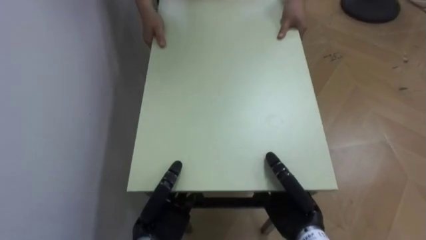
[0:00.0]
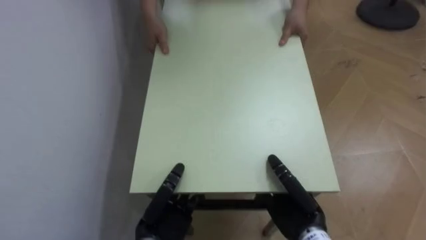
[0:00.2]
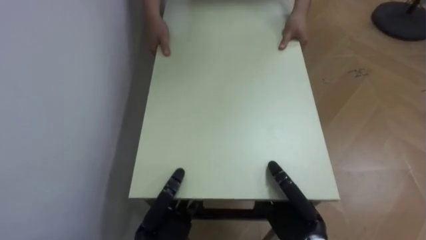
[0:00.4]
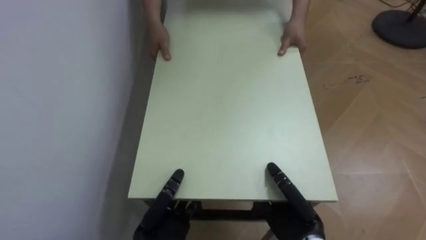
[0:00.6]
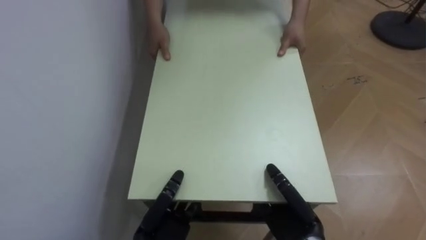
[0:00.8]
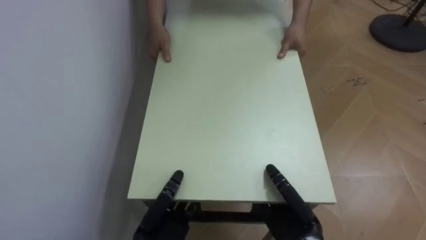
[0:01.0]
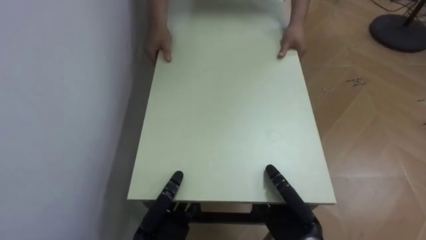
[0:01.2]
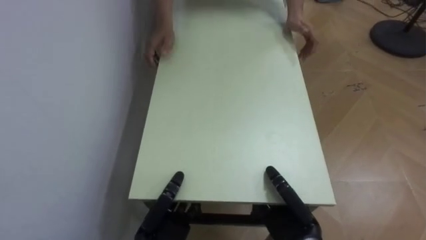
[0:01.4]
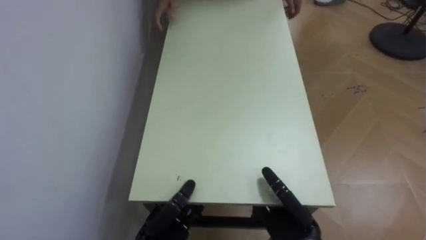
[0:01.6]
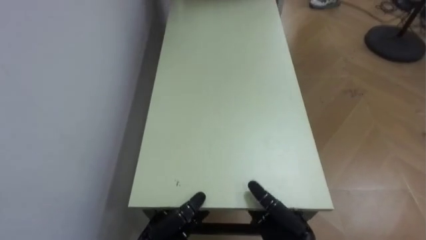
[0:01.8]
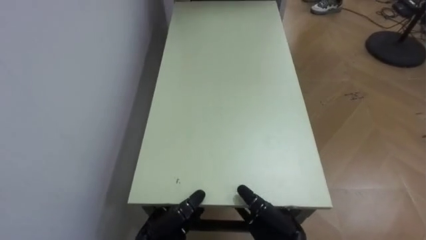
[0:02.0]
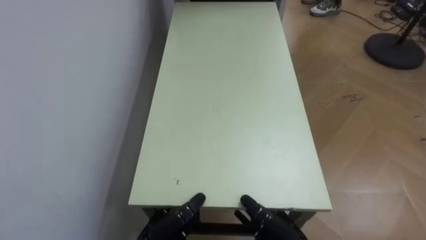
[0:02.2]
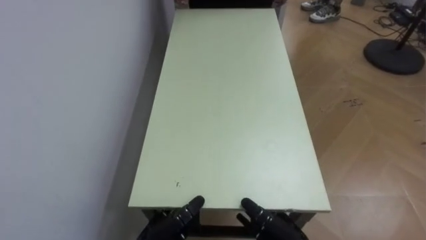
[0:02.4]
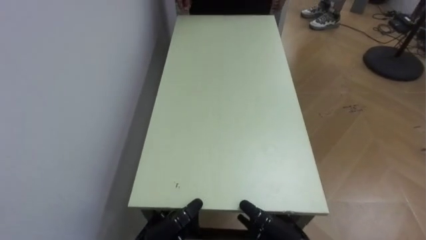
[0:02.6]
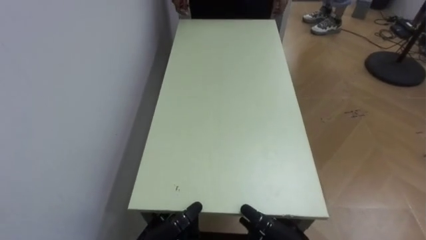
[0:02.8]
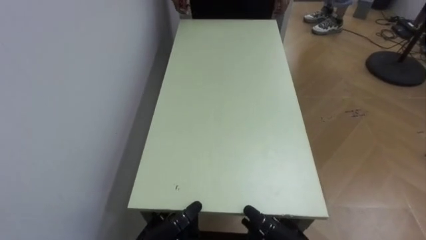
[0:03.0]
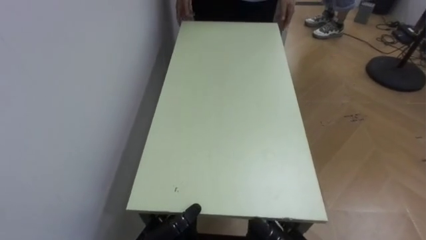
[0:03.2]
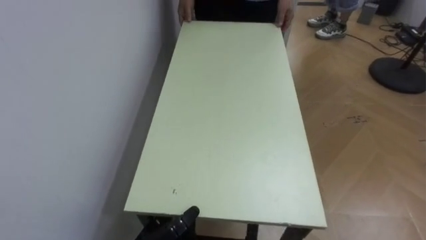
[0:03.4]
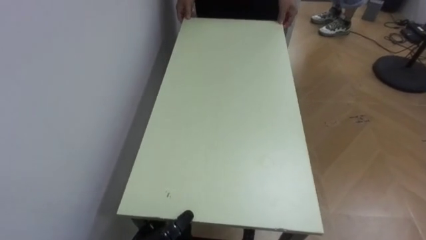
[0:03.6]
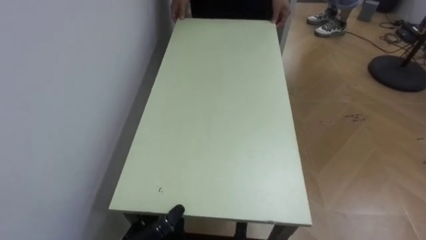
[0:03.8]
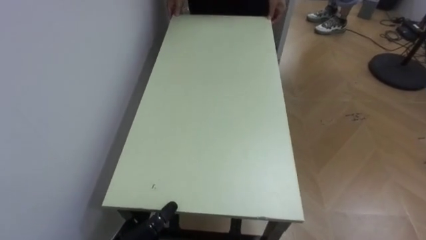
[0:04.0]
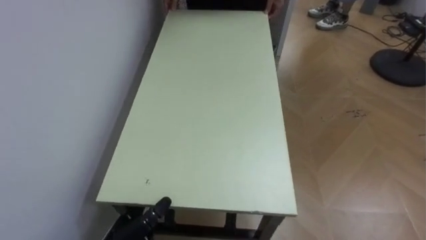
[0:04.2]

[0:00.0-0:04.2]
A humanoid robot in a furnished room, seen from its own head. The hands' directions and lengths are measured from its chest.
Task of the whole recording: Move the table to the back left with someone.
0:01.4 to 0:02.8: The right hand heads downward, covering roughly 5 cm, and opens up.

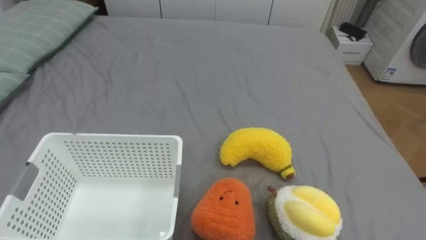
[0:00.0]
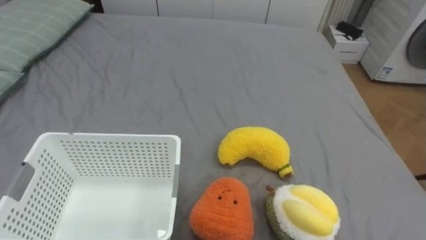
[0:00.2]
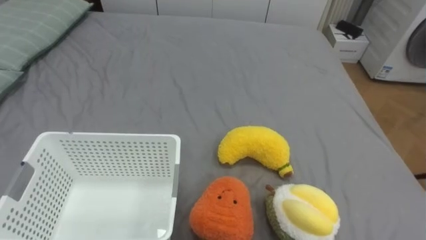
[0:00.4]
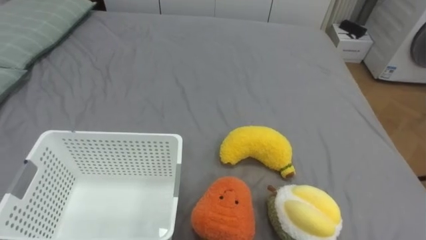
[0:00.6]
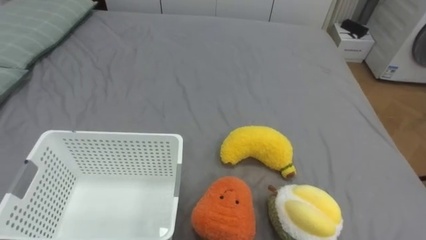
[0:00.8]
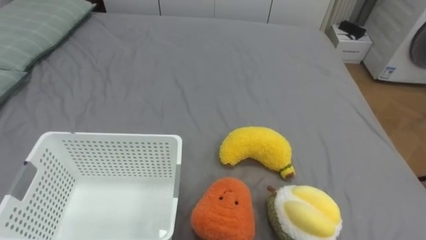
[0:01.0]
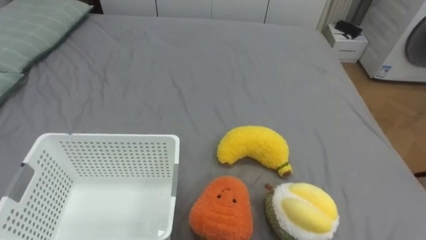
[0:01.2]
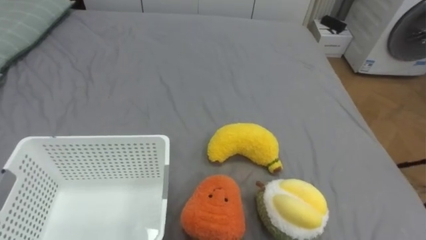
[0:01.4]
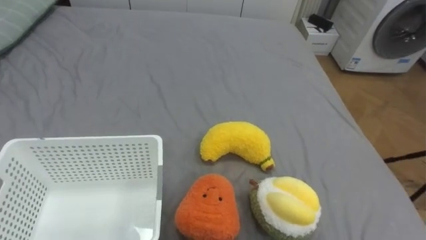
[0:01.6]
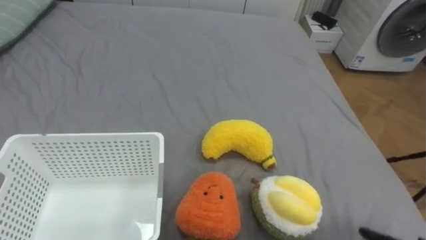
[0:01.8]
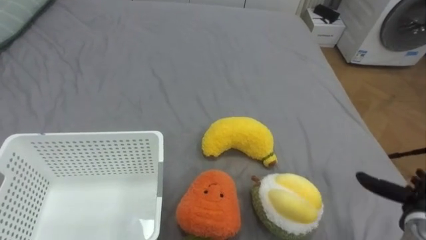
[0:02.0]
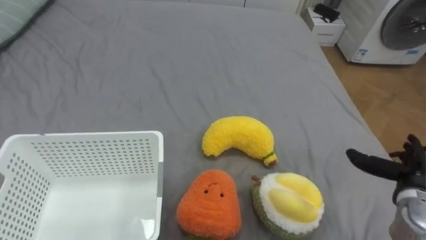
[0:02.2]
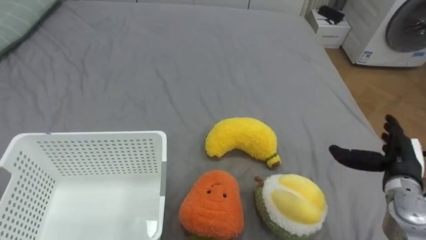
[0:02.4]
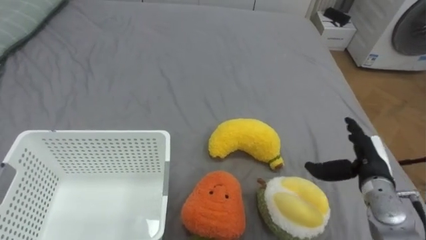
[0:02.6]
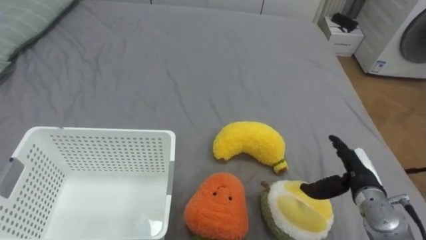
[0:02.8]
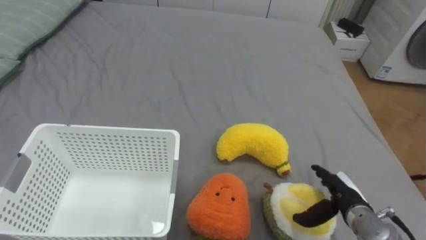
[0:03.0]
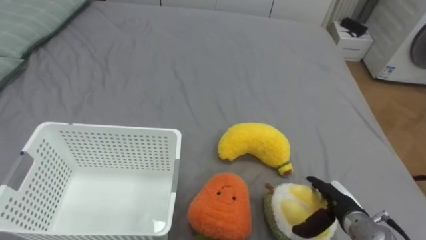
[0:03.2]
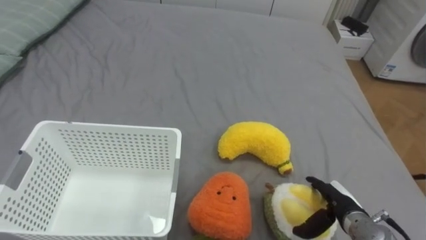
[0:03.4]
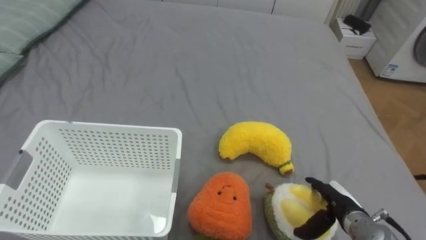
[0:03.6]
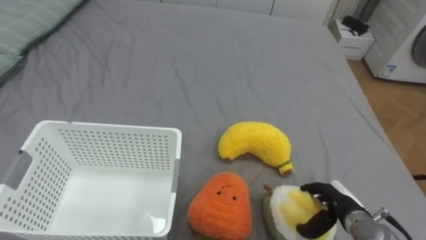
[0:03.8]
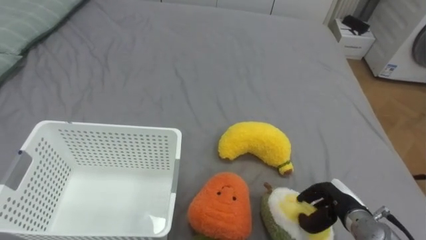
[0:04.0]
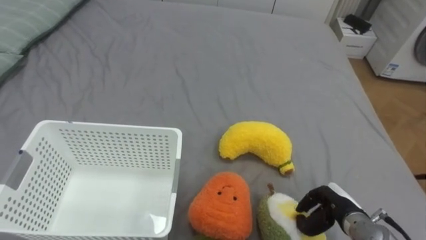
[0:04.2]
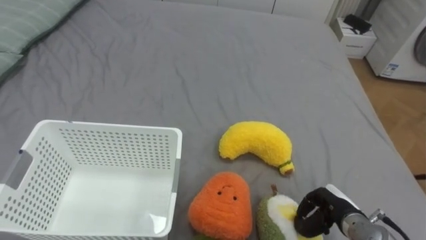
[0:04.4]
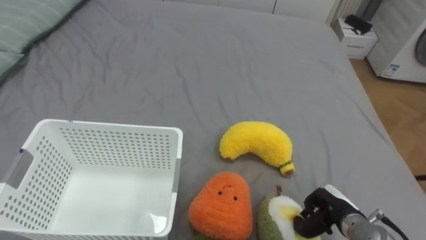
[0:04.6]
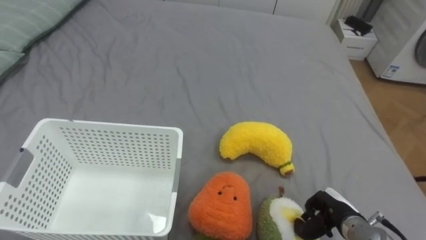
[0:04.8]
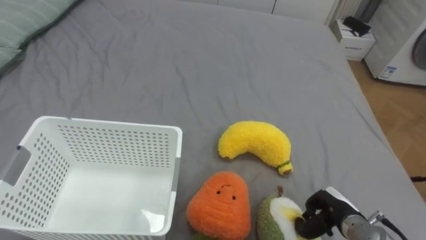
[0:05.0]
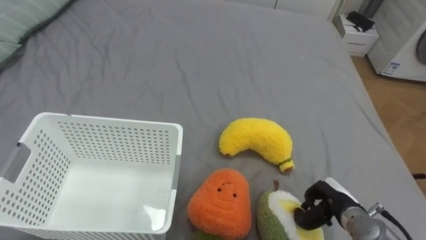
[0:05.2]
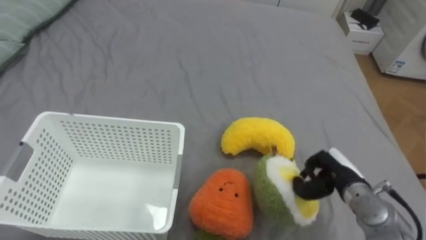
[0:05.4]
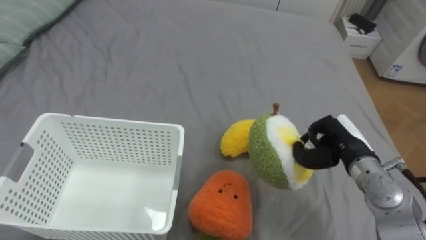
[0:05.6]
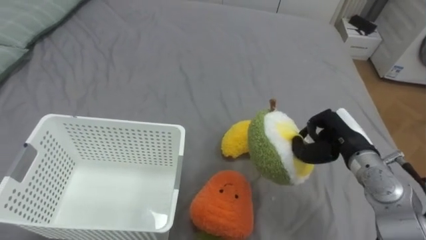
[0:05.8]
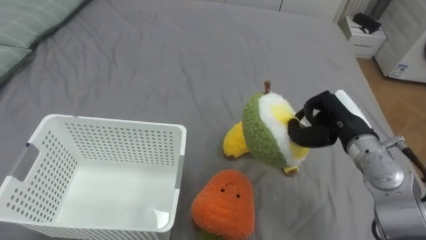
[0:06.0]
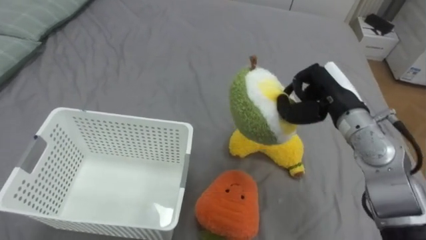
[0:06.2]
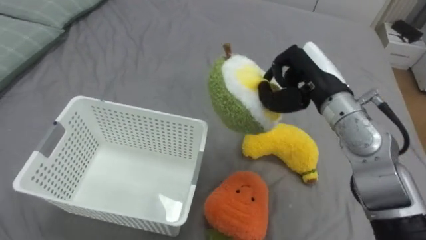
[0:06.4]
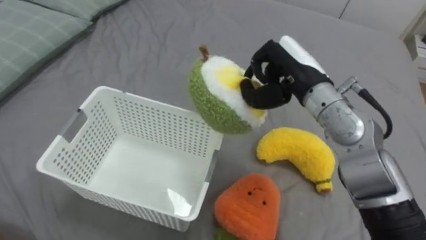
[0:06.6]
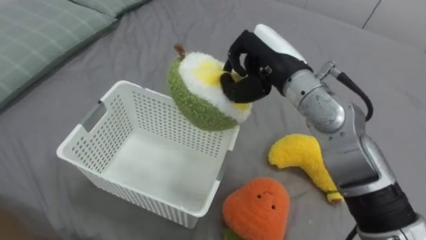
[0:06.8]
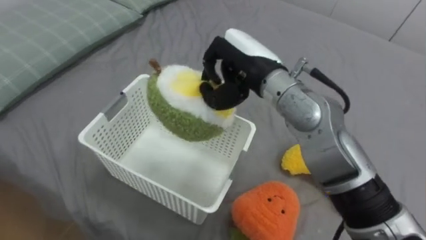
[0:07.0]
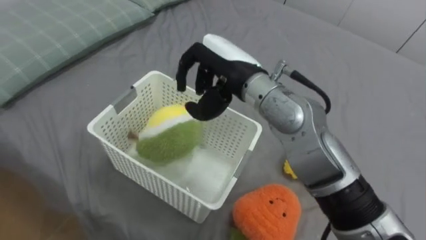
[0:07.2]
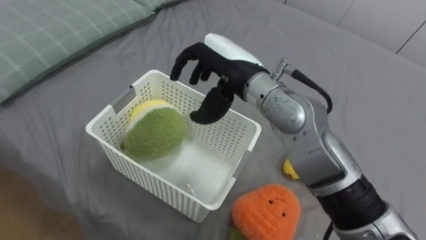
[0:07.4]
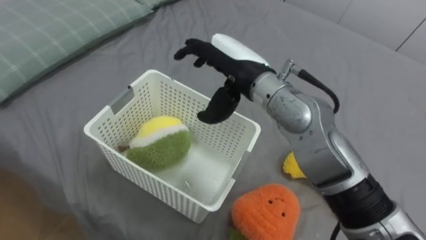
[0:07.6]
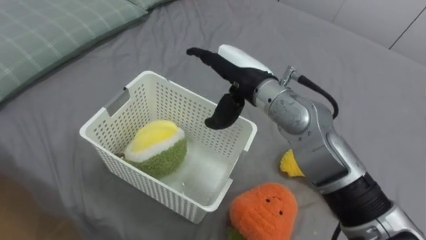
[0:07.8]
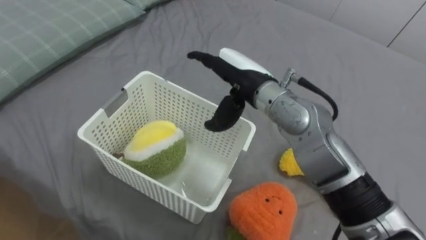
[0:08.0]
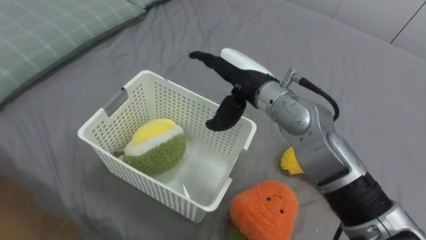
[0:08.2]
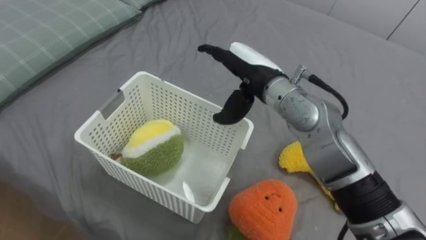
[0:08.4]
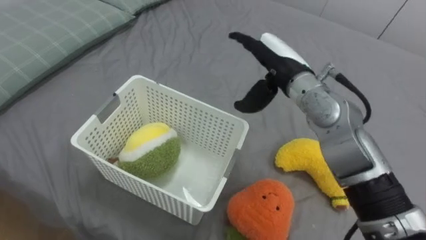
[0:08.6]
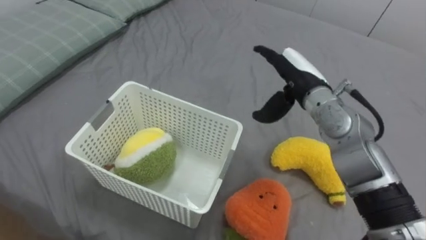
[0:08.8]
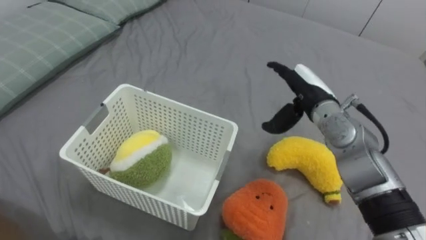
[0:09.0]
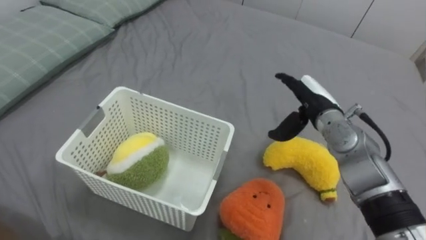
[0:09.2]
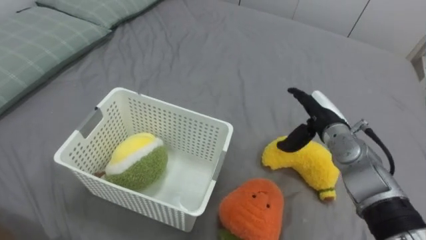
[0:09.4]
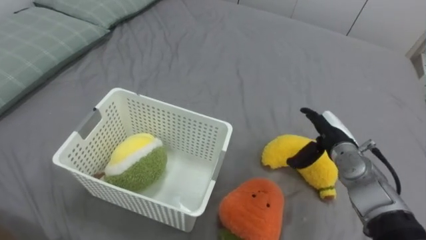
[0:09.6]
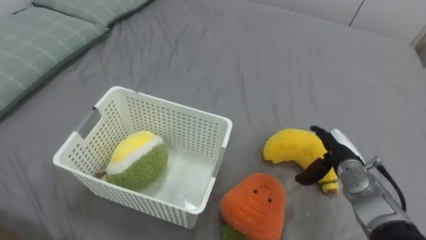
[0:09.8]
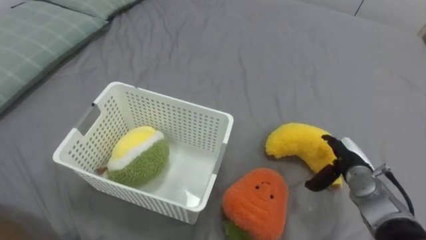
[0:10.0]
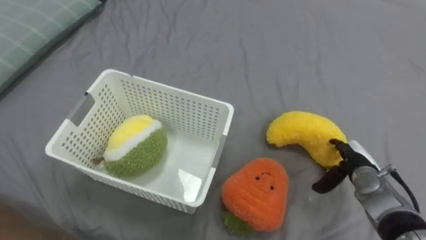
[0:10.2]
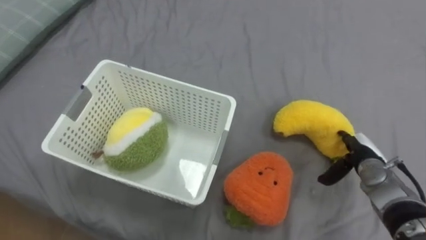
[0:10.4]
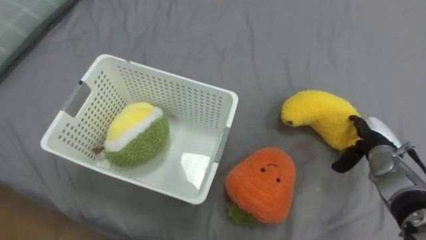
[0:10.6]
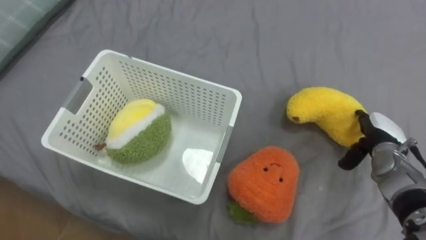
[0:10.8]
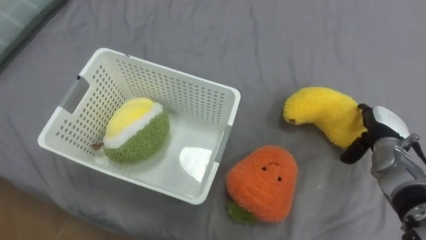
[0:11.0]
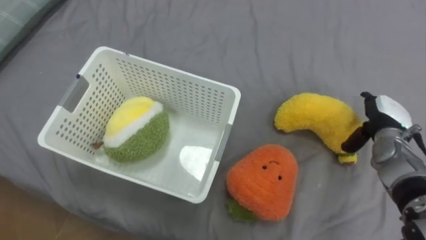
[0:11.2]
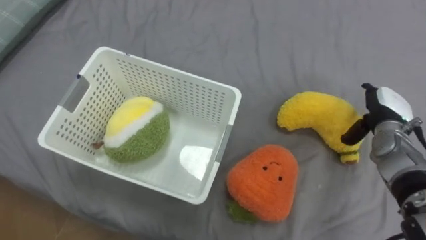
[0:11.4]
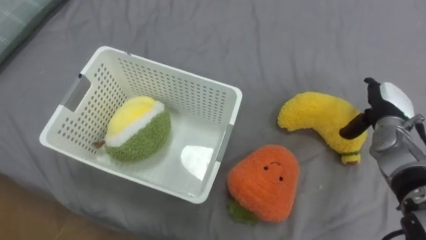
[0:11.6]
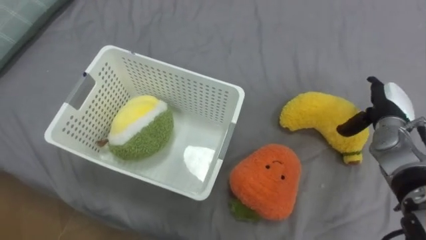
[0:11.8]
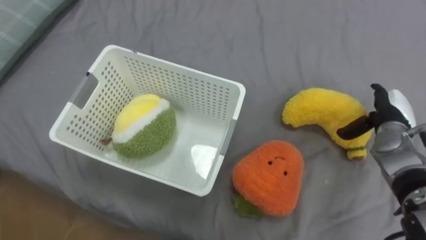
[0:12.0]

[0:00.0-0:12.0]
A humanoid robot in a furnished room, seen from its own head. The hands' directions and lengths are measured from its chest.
Task of the whole recording: Put the toys on the bed into the basket on the left.
0:03.0 to 0:04.4: The right hand closes.
0:04.4 to 0:06.0: The right hand heads upward and forward, covering approximately 20 cm.
0:06.0 to 0:07.6: The right hand heads to the left and upward, covering some 25 cm, and opens up.
0:07.6 to 0:09.0: The right hand travels to the right and downward by roughly 15 cm.
0:09.0 to 0:10.4: The right hand is displaced downward, to the right and backward by approximately 20 cm.
0:10.4 to 0:12.0: The right hand shifts approximately 10 cm upward and forward.
